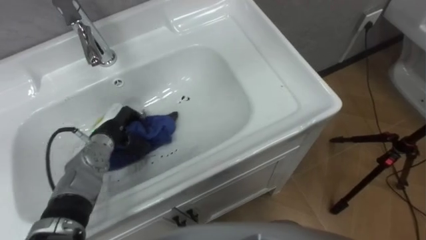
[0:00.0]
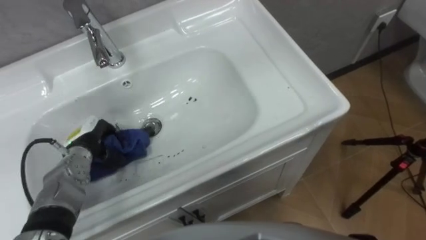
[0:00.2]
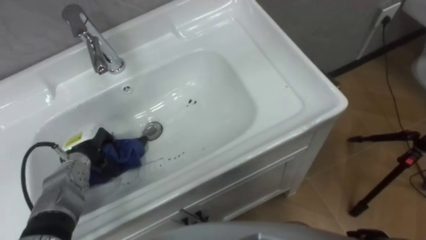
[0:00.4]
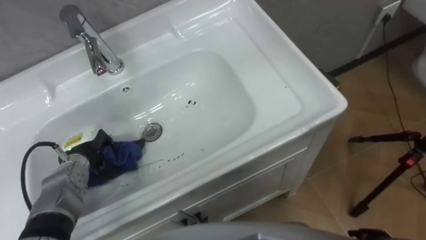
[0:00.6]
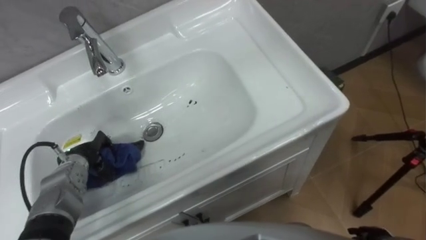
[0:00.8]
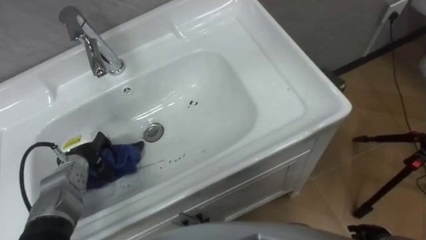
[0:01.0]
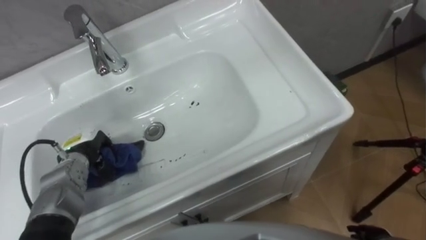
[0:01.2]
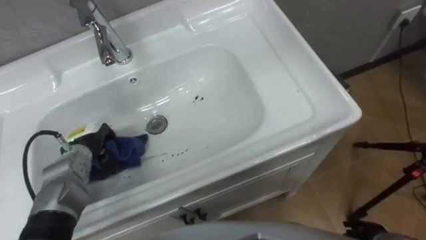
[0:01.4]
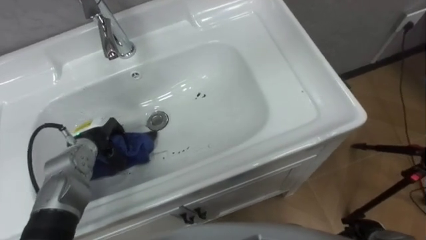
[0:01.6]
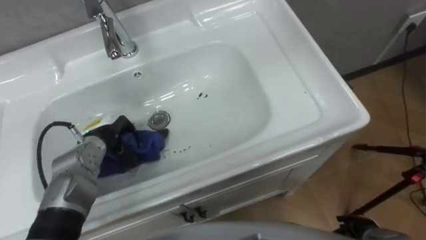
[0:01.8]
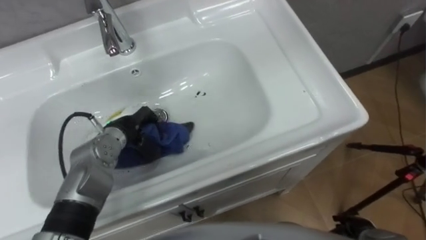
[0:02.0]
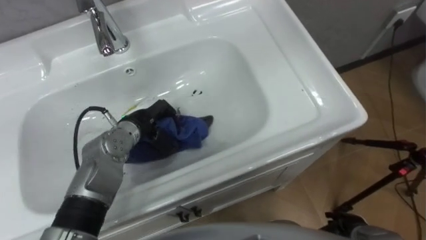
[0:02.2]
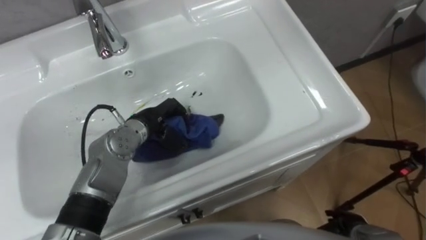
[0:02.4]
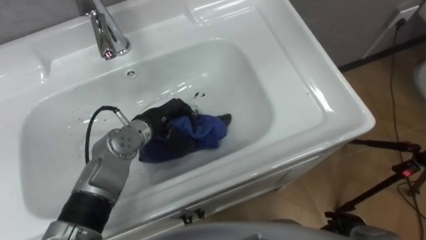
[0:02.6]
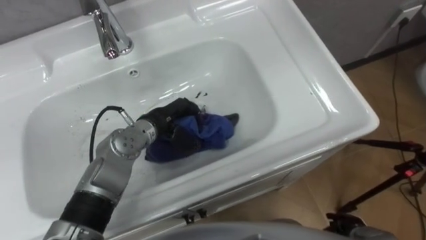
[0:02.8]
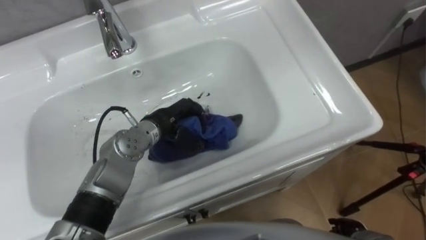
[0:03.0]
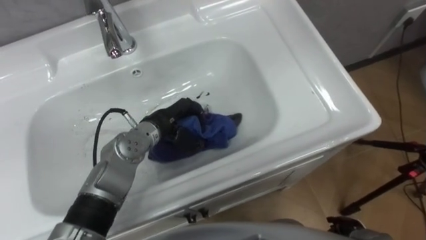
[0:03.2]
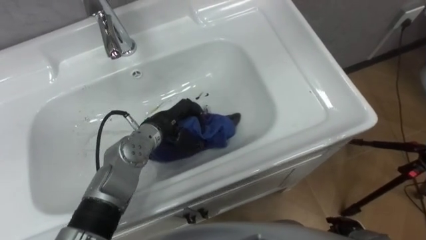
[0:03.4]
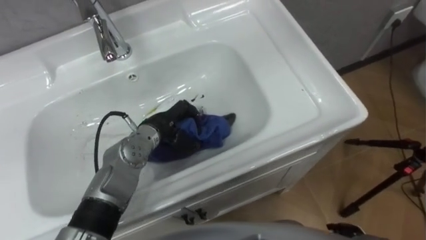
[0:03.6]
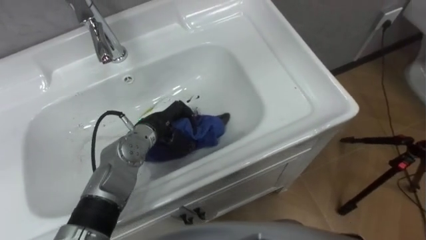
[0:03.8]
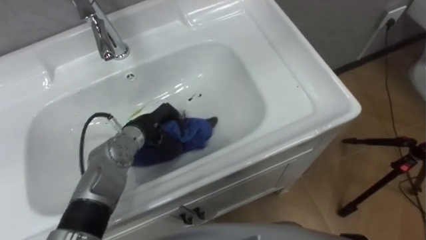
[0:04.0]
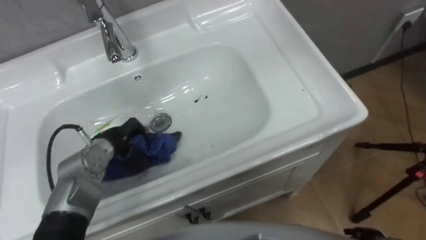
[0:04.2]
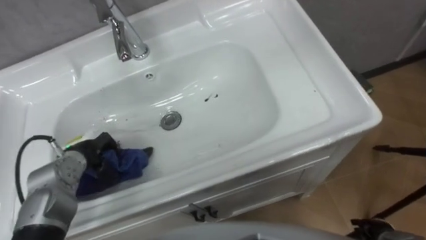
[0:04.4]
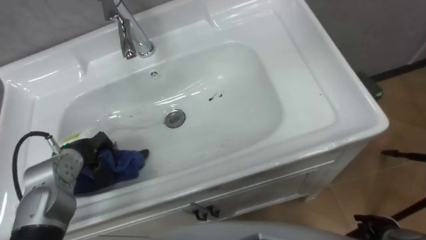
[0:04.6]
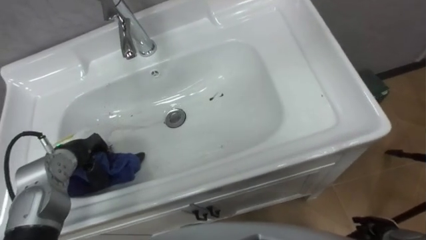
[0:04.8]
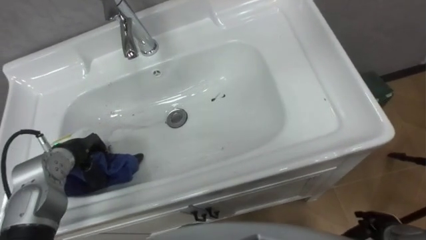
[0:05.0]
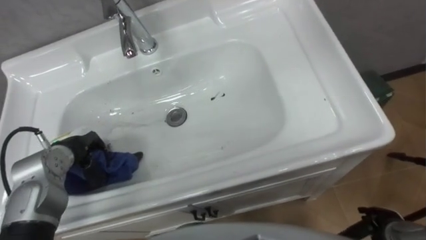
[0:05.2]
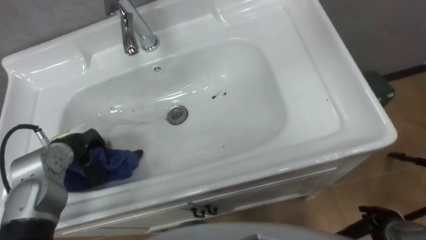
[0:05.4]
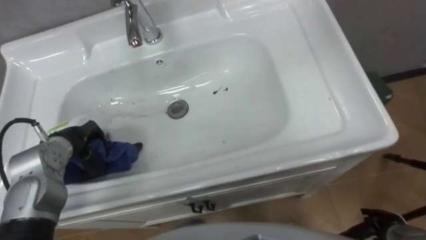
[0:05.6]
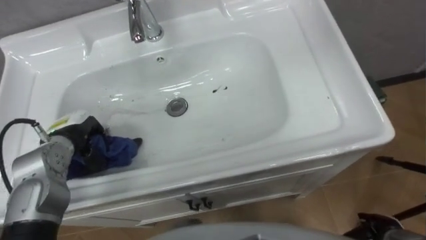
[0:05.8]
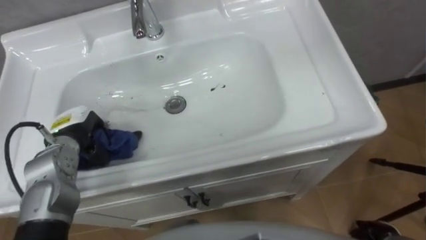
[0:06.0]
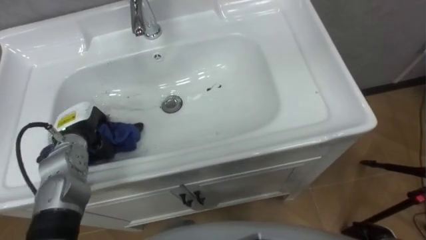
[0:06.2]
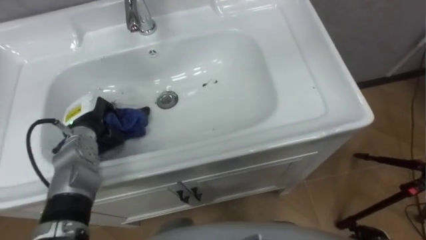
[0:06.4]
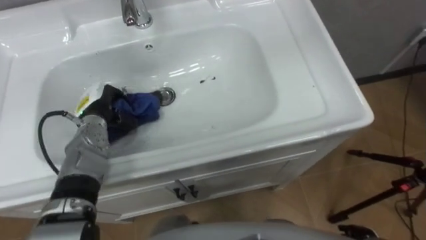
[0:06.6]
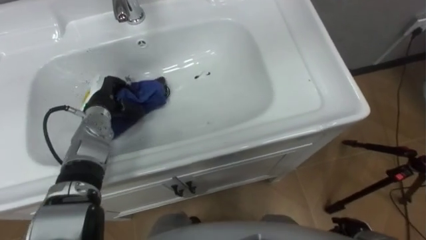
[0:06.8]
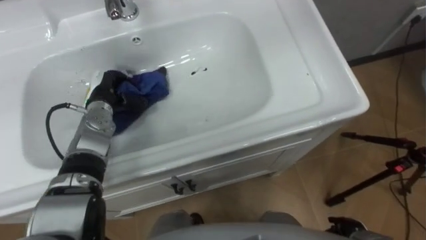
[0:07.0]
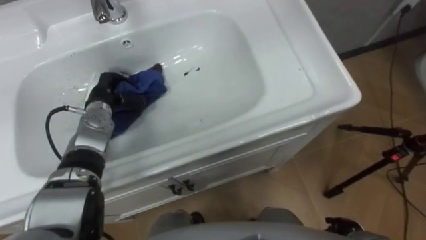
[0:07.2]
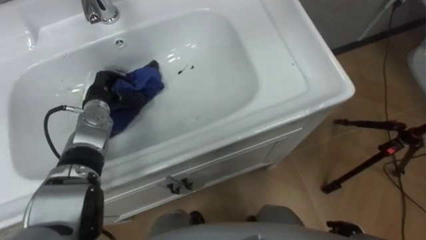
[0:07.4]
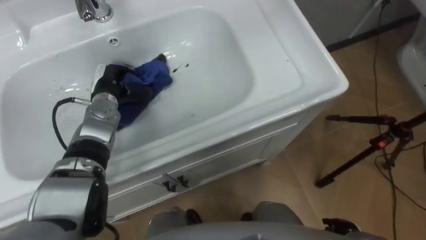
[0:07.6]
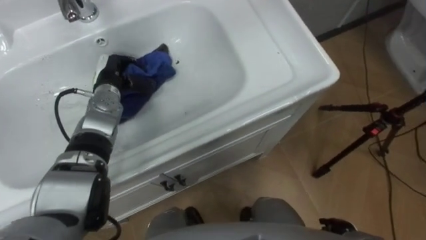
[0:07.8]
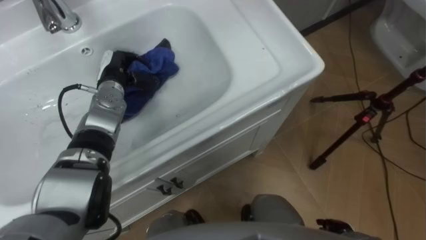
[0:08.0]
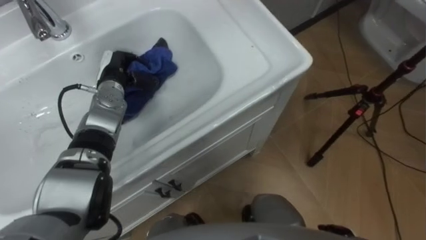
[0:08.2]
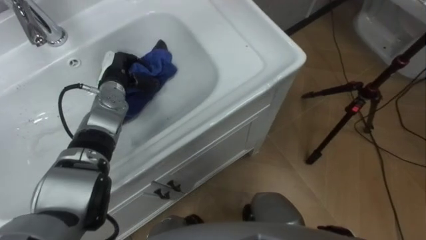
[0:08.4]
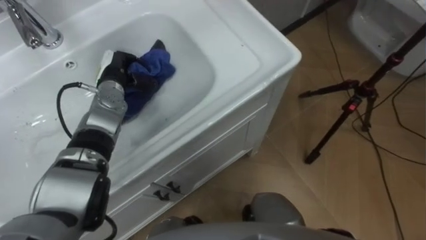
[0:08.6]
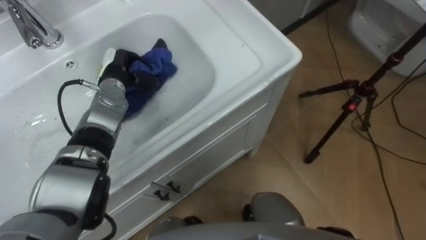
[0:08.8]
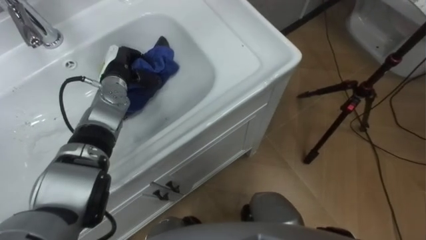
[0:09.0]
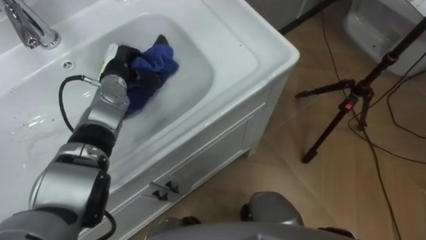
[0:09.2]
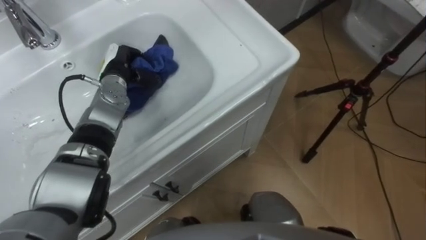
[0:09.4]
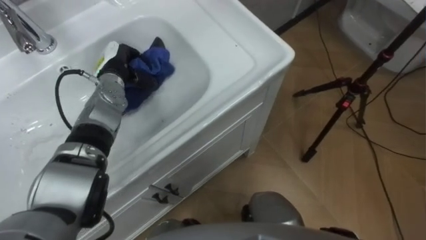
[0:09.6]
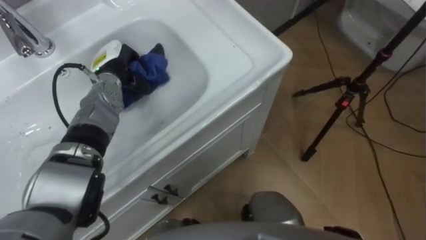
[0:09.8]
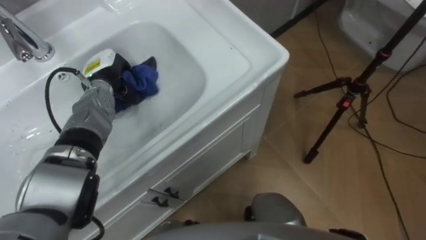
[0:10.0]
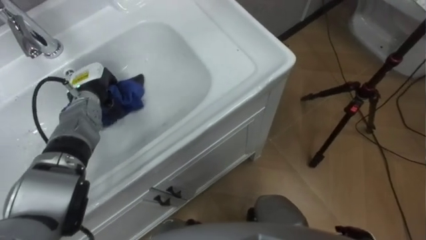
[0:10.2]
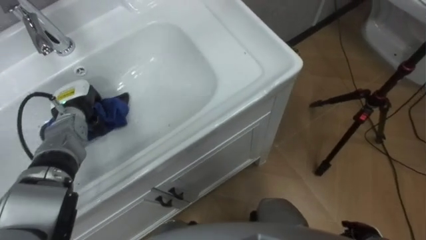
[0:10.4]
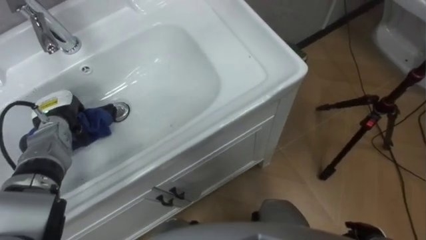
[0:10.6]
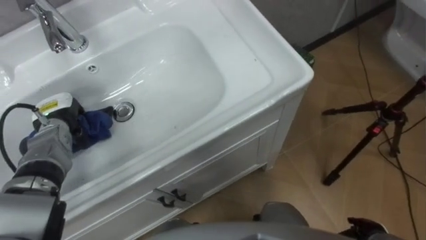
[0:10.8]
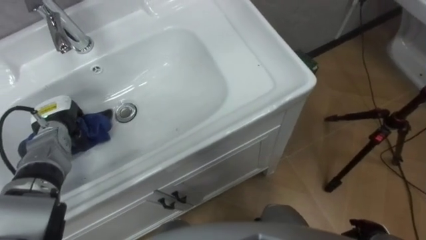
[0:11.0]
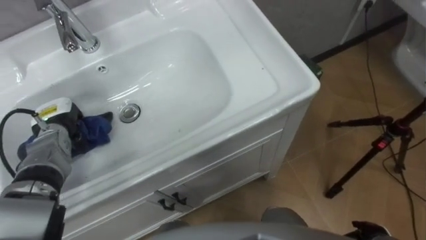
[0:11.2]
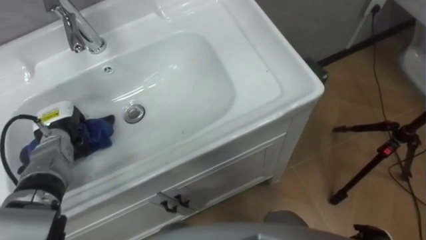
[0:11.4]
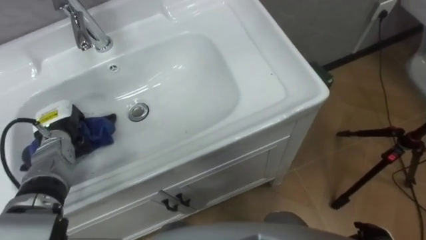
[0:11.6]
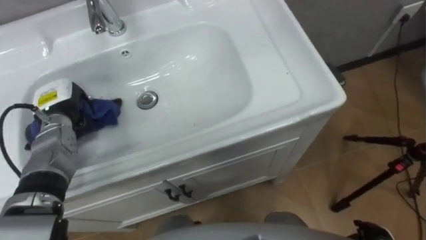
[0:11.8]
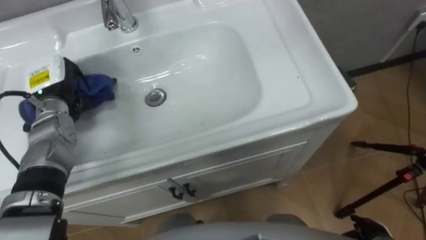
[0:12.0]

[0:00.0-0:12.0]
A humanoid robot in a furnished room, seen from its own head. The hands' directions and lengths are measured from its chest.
Task of the whole recording: Use the cloth on the right to wipe away the black stain in the sink.
0:01.6 to 0:03.0: The left hand is displaced to the right by about 15 cm.
0:03.0 to 0:04.4: The left hand travels to the left by about 15 cm.
0:06.0 to 0:07.6: The left hand moves forward and to the right, roughly 15 cm.
0:07.6 to 0:09.0: The left hand shifts by some 5 cm.
0:09.0 to 0:10.4: The left hand is displaced to the left and backward by some 10 cm.
0:10.4 to 0:12.0: The left hand travels upward by about 5 cm.
